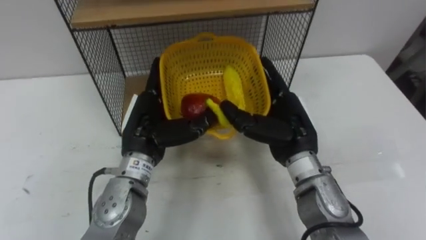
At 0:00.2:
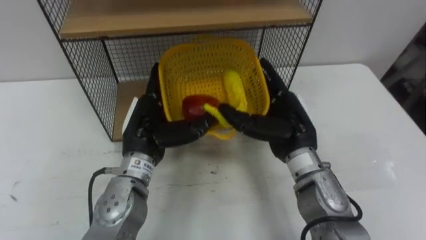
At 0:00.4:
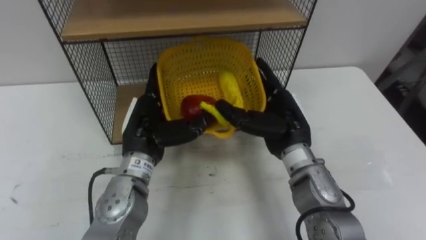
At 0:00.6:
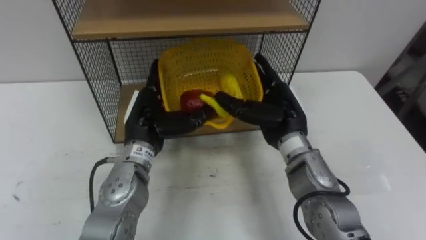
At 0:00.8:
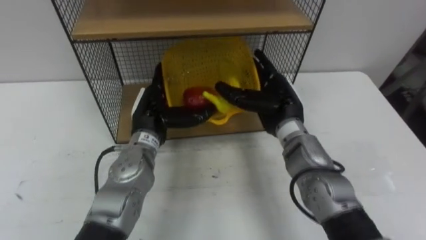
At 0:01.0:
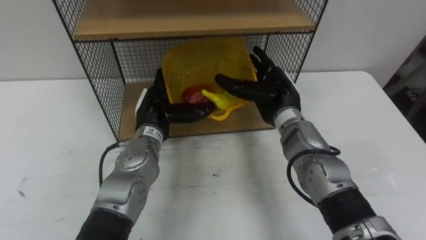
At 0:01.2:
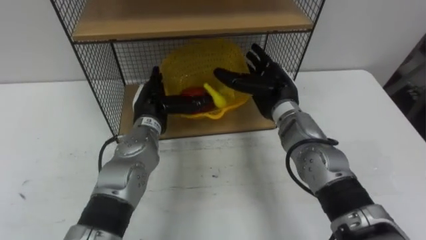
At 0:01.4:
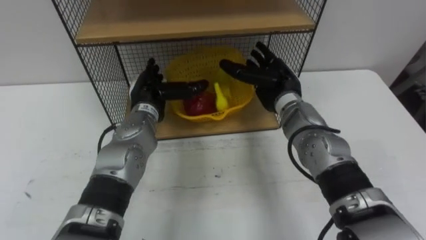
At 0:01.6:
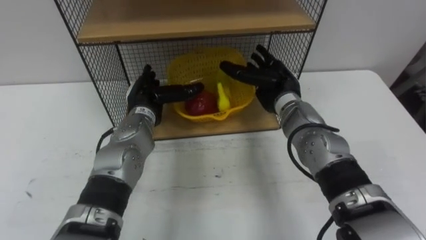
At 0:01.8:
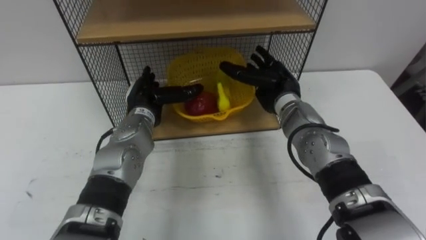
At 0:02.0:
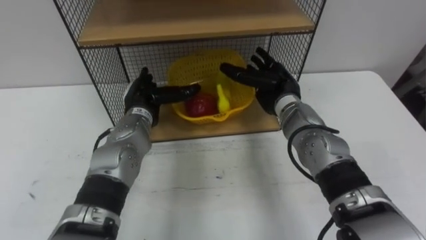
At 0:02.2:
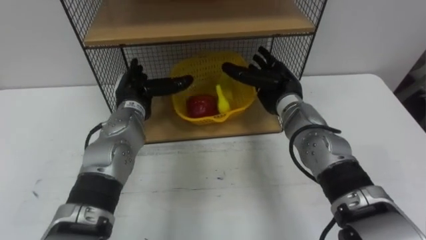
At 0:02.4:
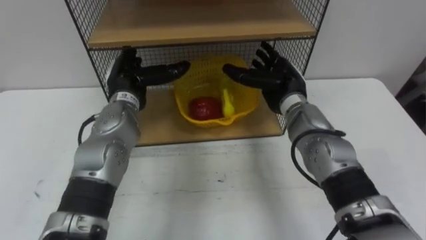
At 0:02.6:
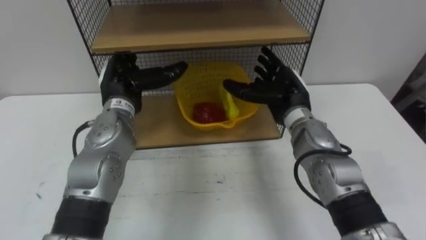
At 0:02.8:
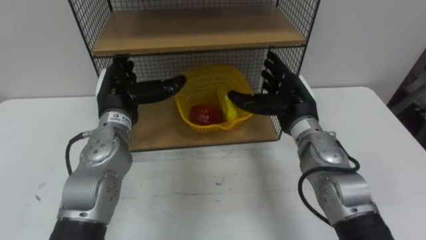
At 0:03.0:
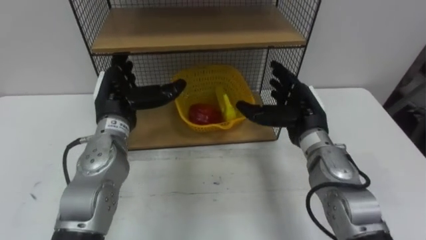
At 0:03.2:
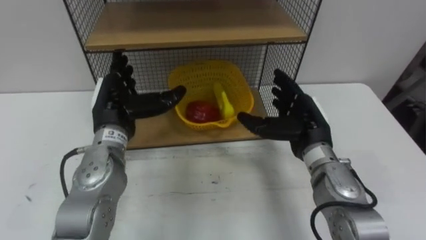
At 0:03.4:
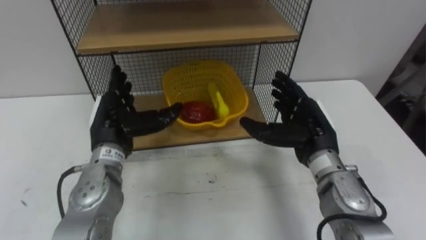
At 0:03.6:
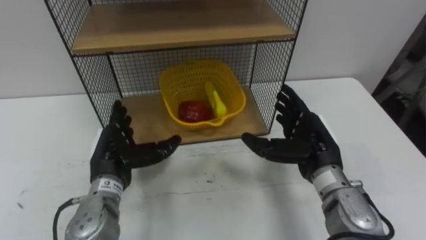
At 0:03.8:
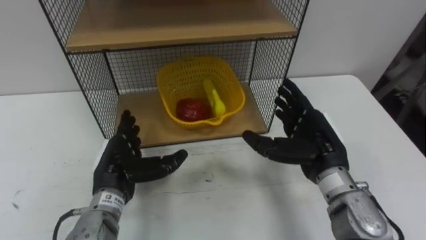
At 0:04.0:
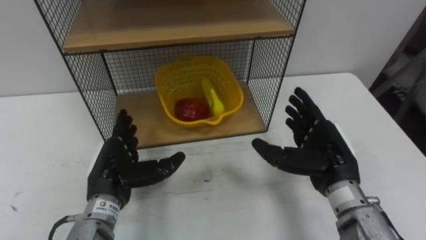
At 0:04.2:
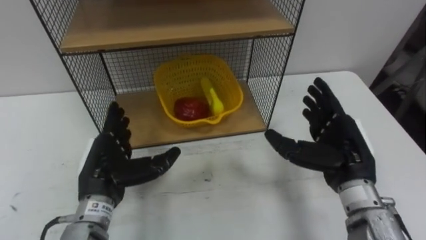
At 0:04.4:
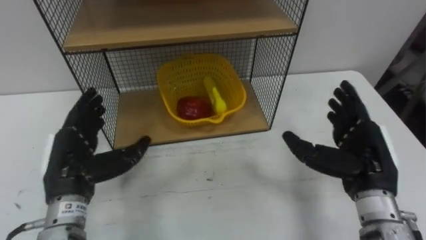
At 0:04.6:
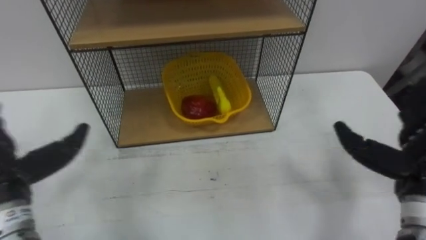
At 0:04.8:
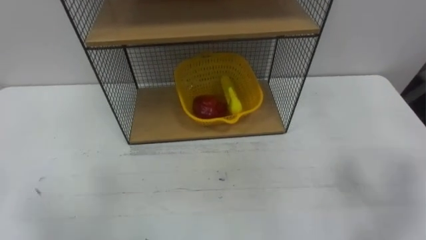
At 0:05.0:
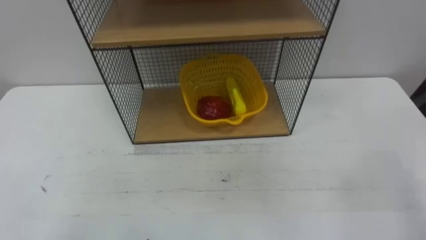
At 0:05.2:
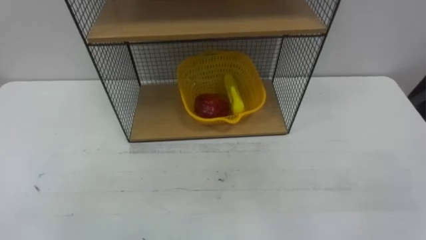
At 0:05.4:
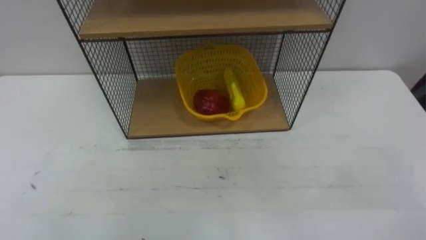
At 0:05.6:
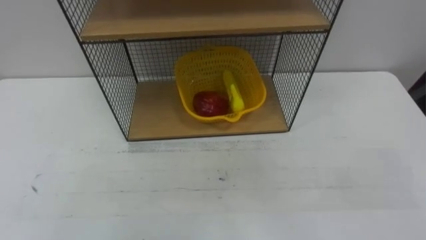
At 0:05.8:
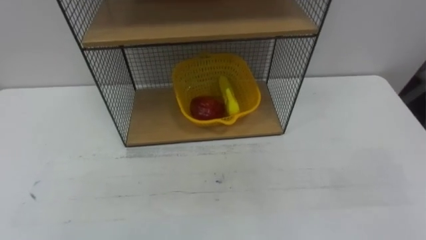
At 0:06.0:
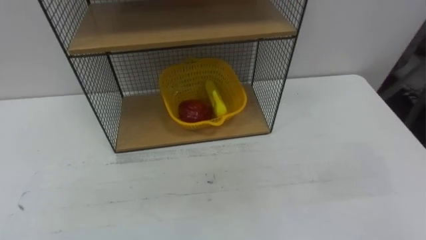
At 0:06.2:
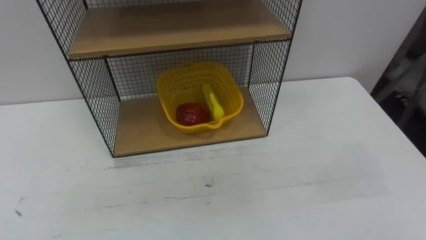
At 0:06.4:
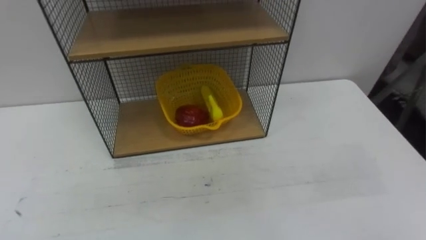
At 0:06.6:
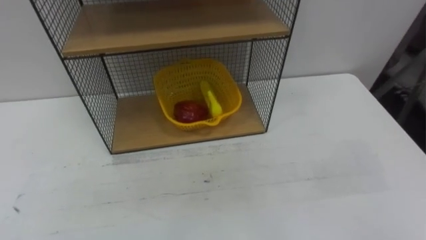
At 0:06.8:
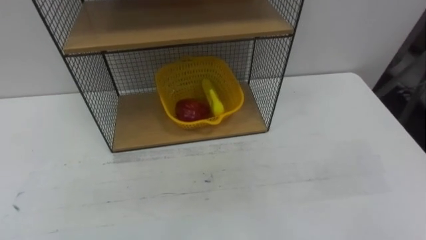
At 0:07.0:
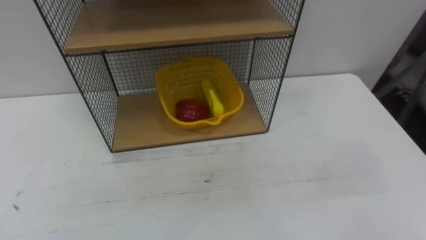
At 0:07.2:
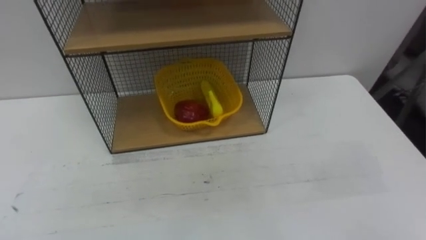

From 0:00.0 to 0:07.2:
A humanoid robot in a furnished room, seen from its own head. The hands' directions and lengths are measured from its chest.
Task of the whole recording: Put the fruit on the table into the basket, then place the basket on the shelf.
From 0:00.0 to 0:01.4: Both hands move forward, roughly 10 cm.
From 0:01.4 to 0:02.8: The left hand changes place by some 5 cm; the right hand shifts by about 5 cm.
From 0:02.8 to 0:04.4: The right hand shifts approximately 15 cm backward and to the right. The left hand heads backward and to the left, covering roughly 15 cm.

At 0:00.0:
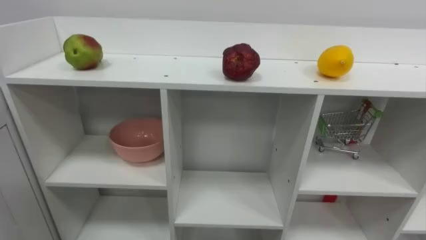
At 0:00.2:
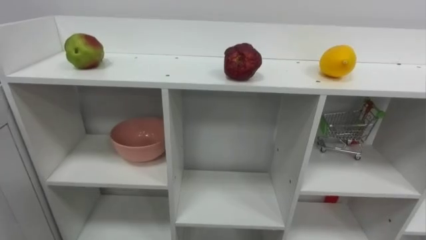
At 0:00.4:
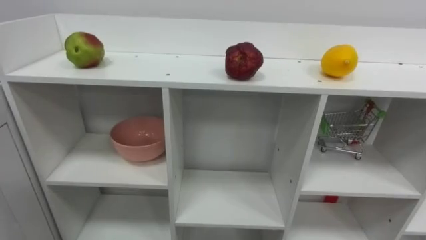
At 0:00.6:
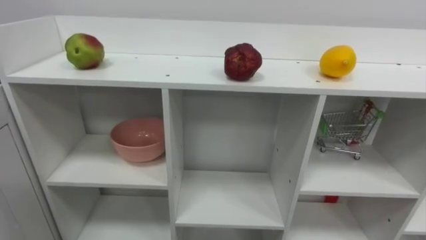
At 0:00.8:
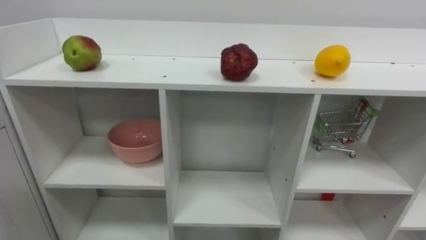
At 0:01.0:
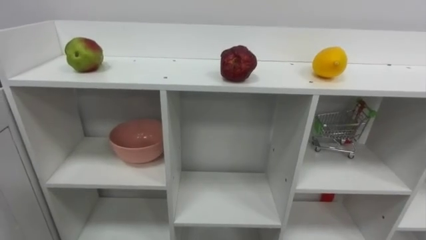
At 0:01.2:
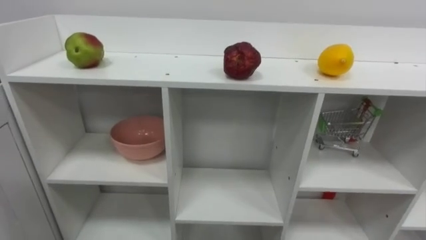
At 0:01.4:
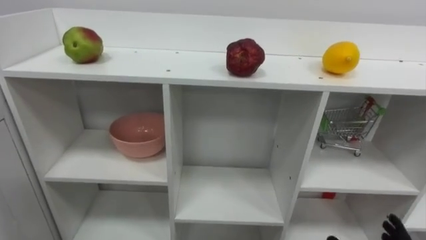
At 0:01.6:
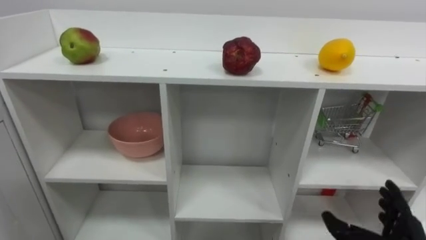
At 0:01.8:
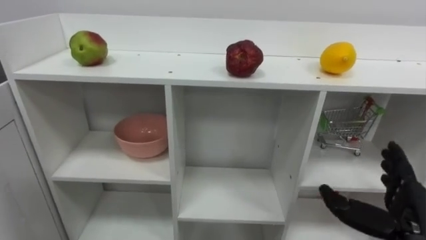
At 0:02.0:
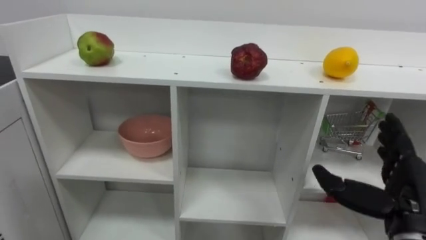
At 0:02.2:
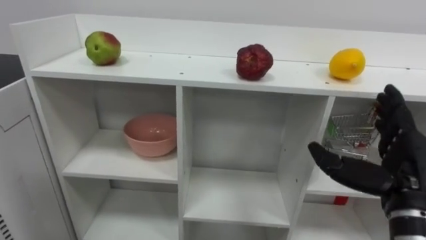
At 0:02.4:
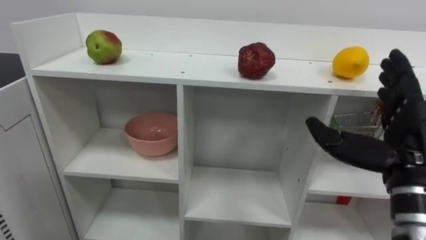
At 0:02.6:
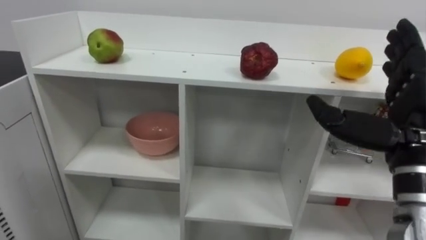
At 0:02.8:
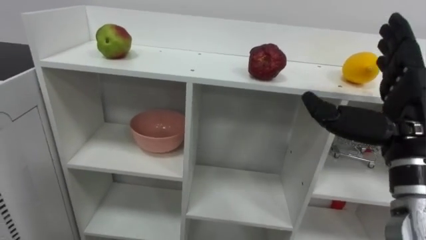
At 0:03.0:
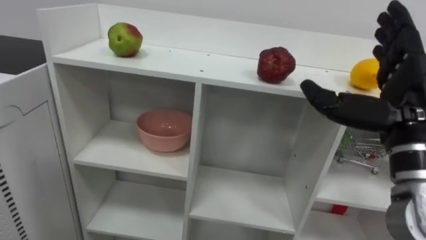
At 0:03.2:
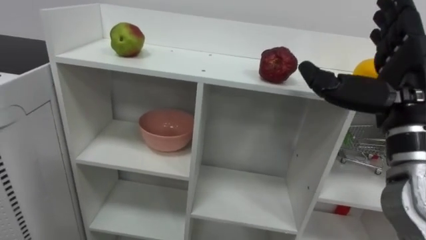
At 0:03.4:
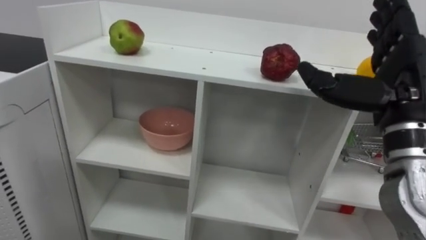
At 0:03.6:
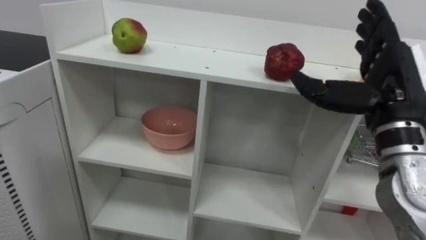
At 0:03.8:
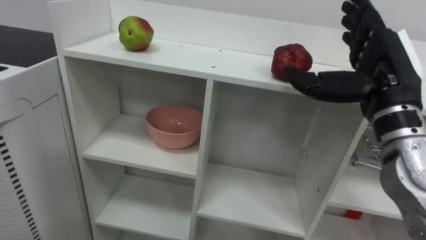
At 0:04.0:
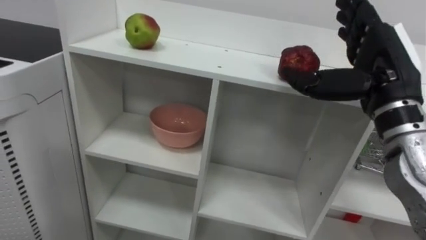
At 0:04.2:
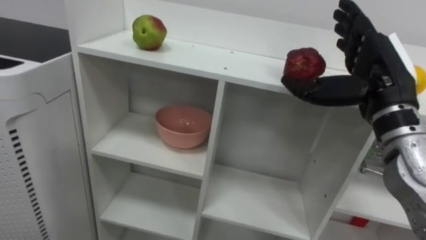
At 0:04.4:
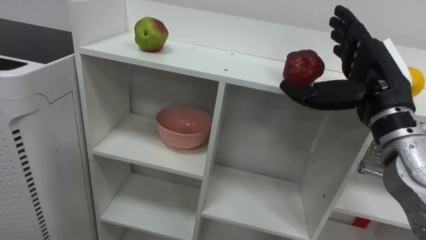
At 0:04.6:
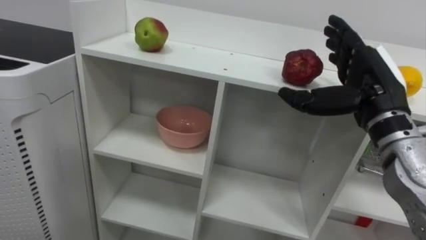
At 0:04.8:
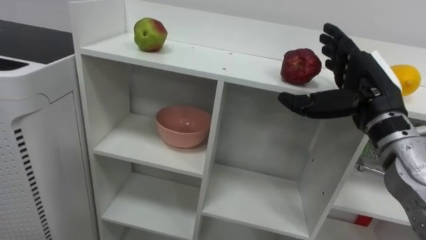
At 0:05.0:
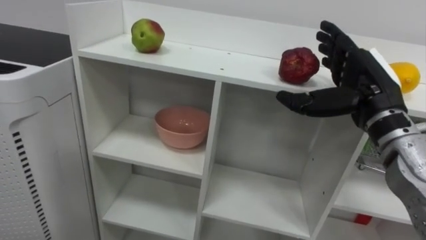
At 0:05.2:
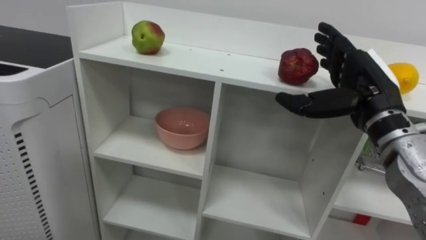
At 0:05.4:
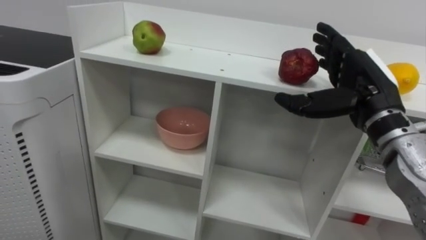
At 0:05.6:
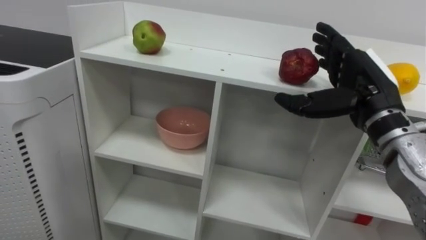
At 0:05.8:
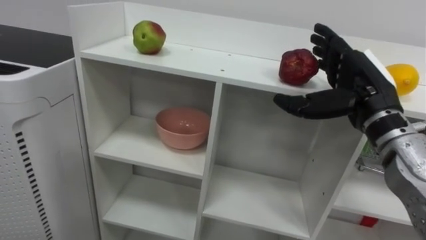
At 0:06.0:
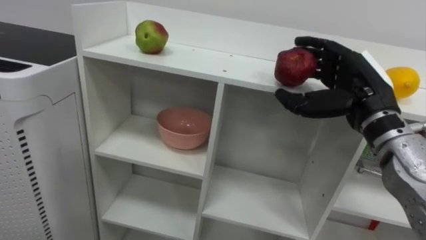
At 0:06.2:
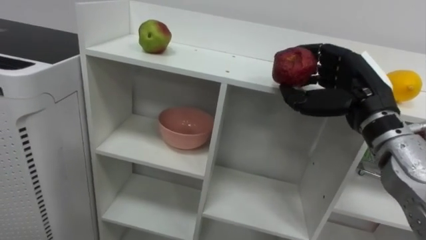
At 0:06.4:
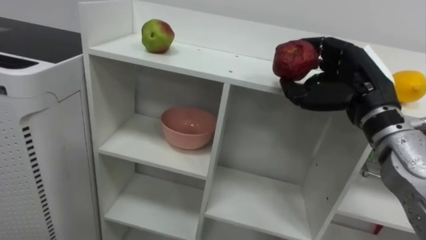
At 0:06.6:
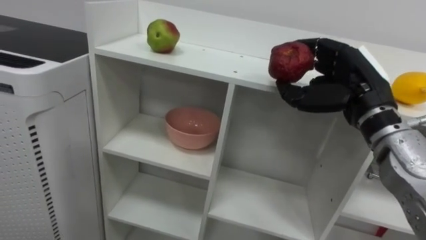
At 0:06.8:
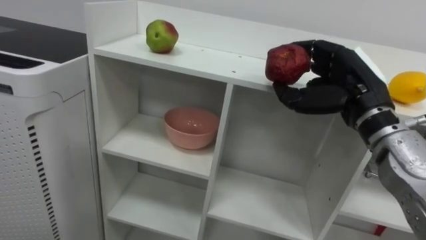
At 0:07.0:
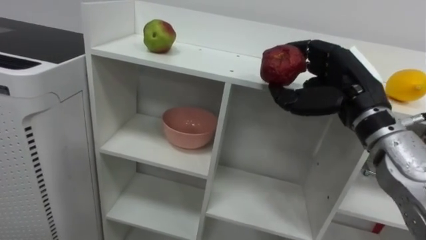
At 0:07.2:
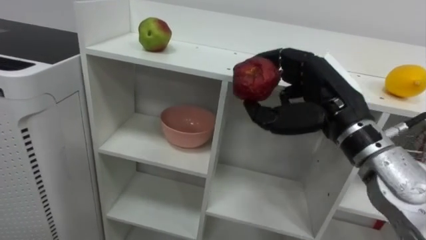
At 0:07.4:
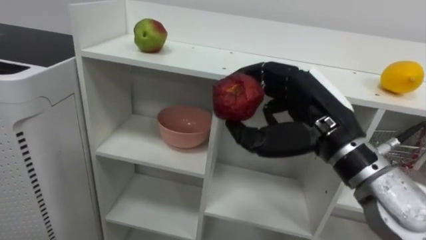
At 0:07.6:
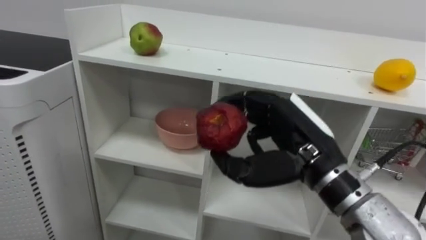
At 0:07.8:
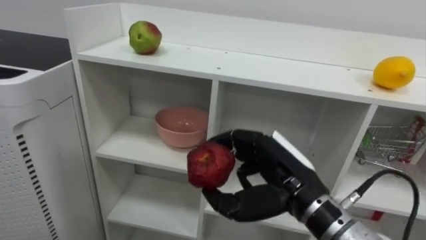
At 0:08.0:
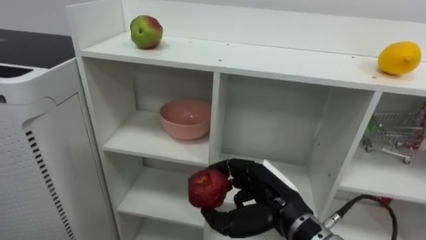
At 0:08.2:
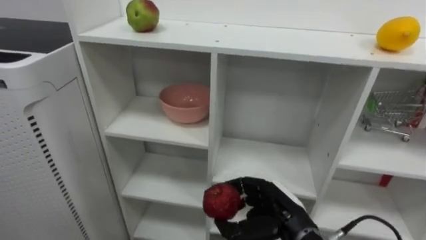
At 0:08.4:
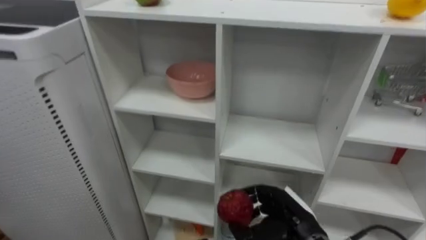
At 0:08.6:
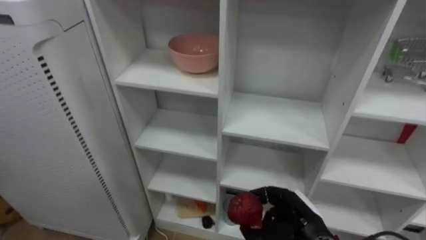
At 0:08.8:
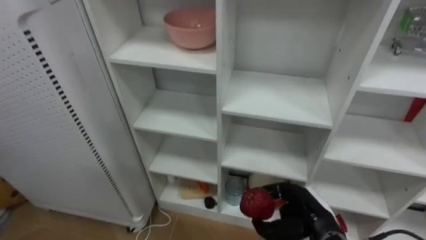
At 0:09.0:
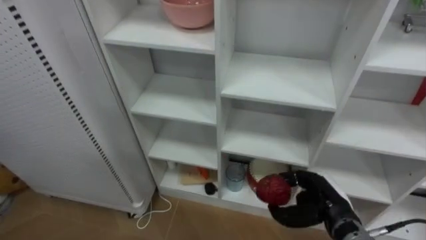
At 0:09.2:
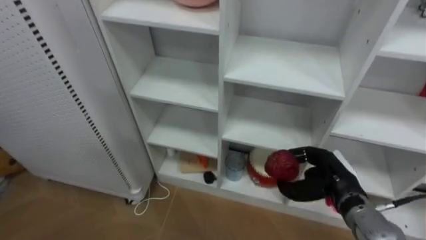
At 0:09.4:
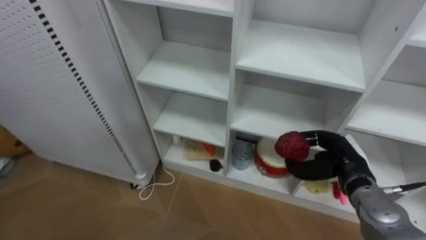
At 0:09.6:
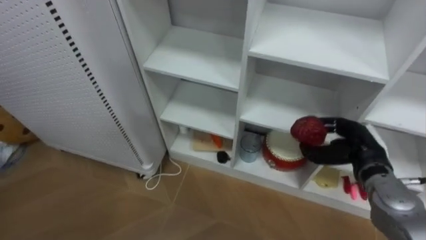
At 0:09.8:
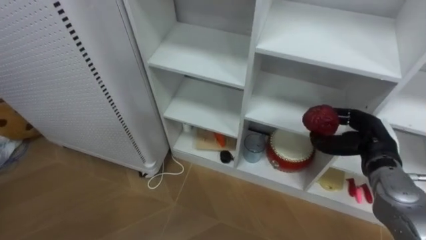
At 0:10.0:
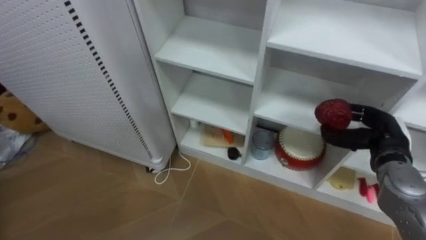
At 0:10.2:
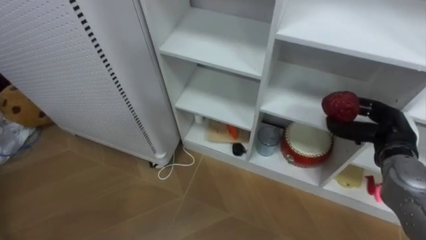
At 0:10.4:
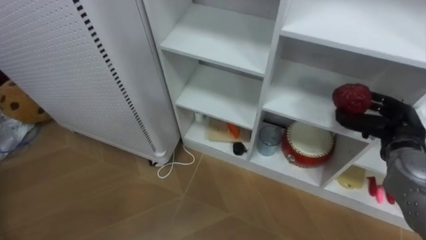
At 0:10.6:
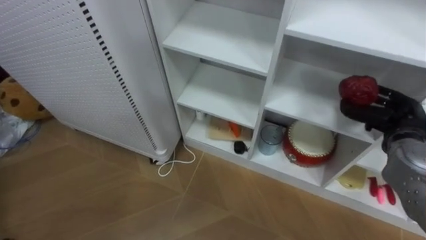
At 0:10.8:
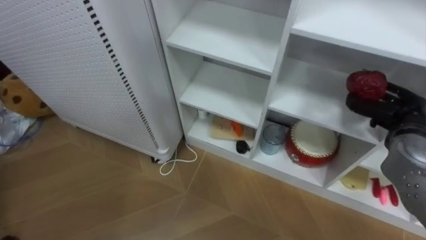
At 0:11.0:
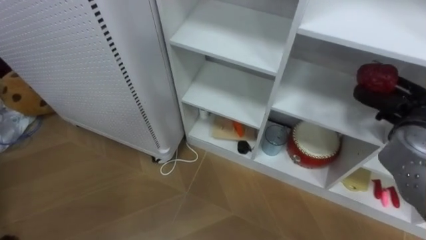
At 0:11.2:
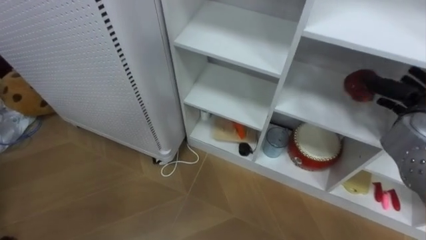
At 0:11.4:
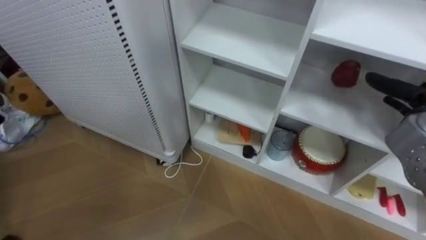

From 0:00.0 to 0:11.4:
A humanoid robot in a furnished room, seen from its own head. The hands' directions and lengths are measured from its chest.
Task of the whole recording: Put the apple in the cell in the second column from the left and the second row from the top.
From 0:02.8 to 0:04.2: The right hand goes approximately 5 cm forward.
From 0:05.6 to 0:07.2: The right hand is displaced to the left by some 5 cm, and closes.
From 0:07.2 to 0:08.6: The right hand heads downward, covering approximately 25 cm.
From 0:08.6 to 0:10.0: The right hand travels to the right, upward and forward by some 20 cm.
From 0:10.0 to 0:11.4: The right hand is displaced upward by roughly 5 cm, and opens.
